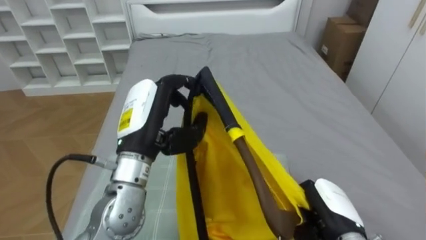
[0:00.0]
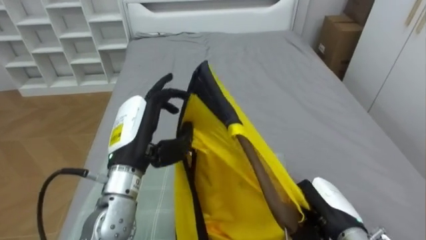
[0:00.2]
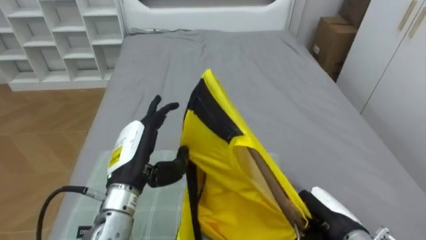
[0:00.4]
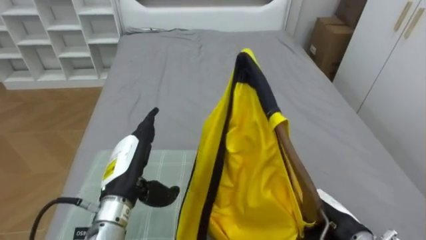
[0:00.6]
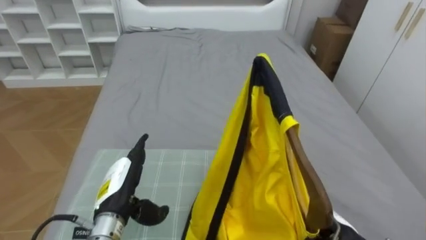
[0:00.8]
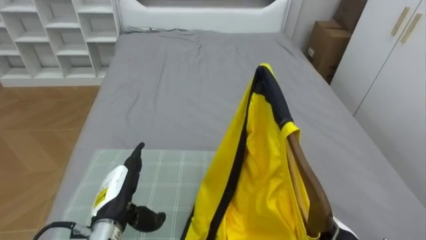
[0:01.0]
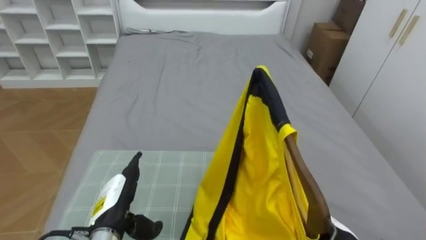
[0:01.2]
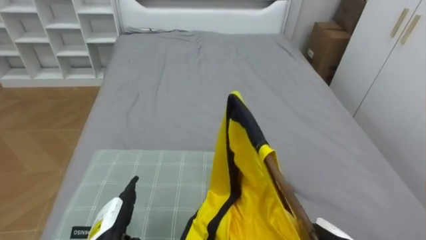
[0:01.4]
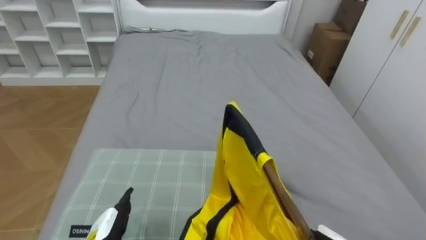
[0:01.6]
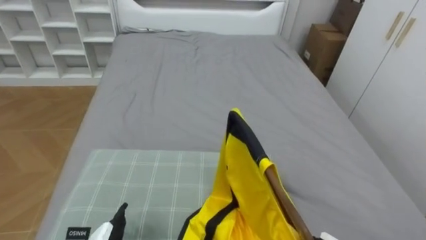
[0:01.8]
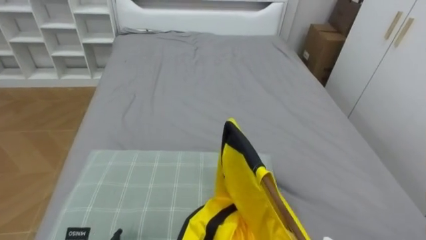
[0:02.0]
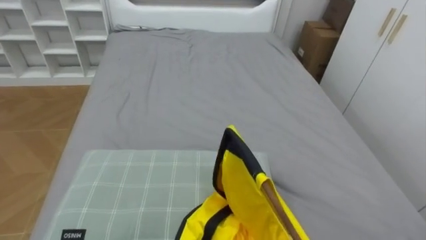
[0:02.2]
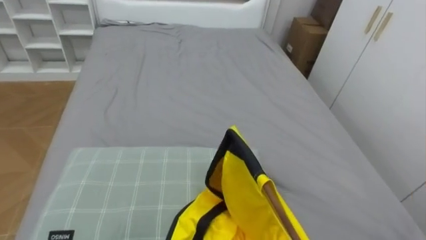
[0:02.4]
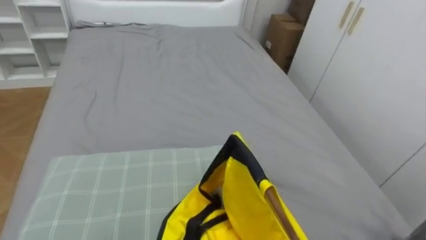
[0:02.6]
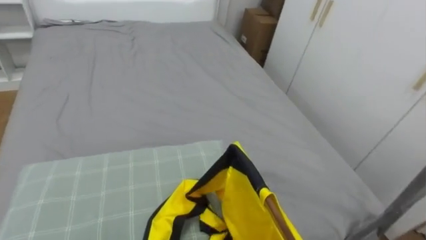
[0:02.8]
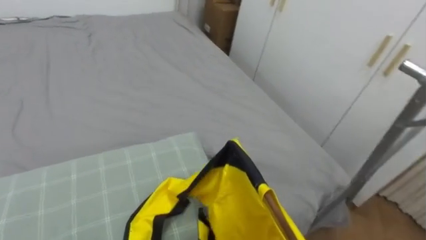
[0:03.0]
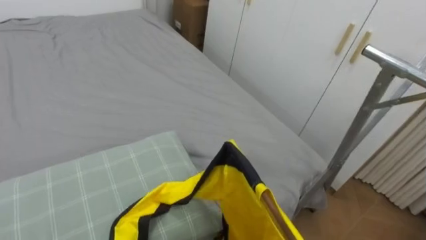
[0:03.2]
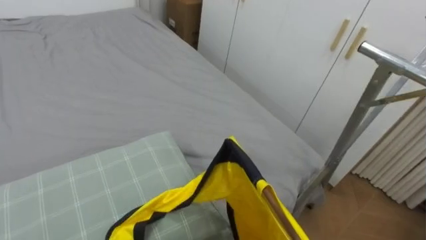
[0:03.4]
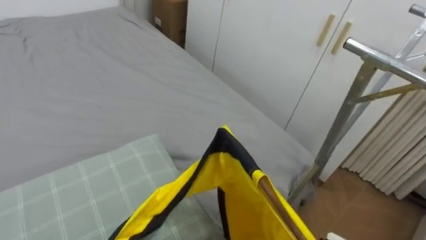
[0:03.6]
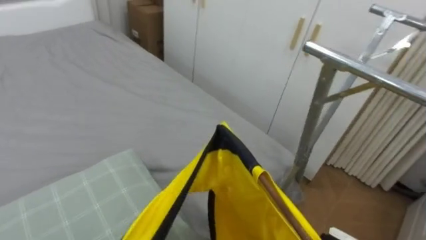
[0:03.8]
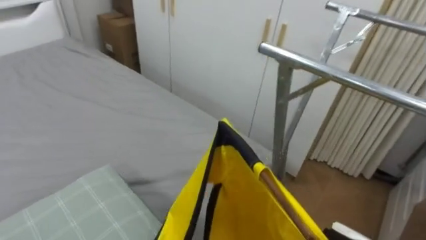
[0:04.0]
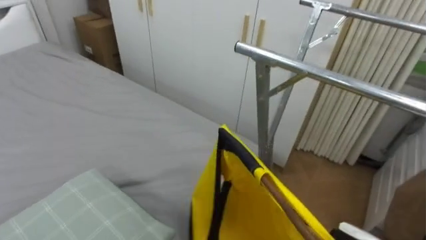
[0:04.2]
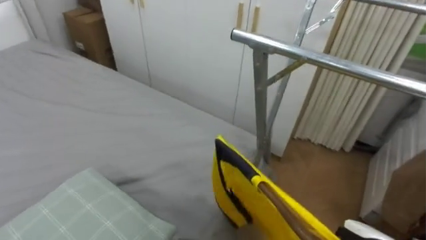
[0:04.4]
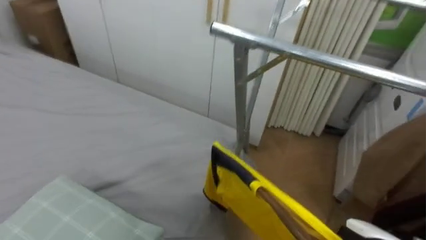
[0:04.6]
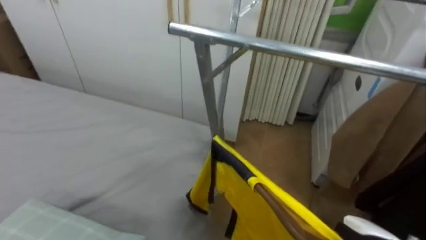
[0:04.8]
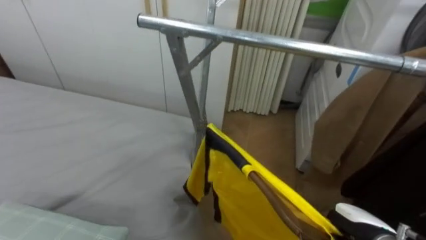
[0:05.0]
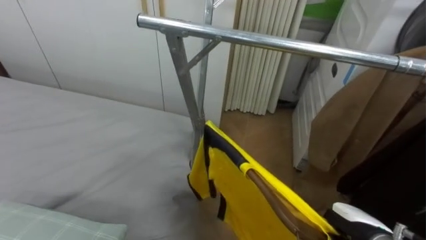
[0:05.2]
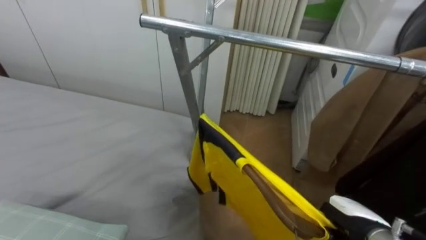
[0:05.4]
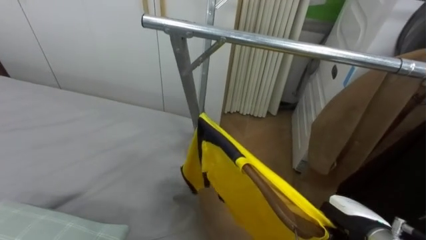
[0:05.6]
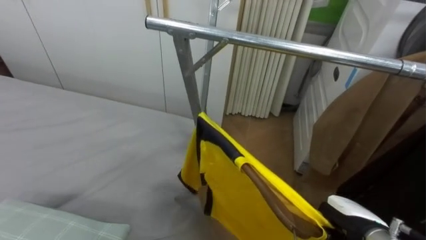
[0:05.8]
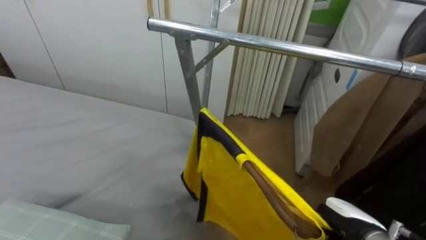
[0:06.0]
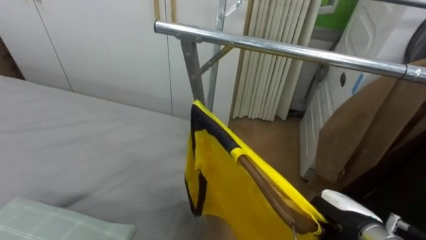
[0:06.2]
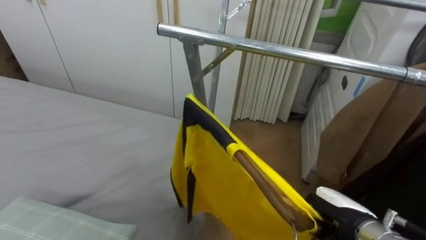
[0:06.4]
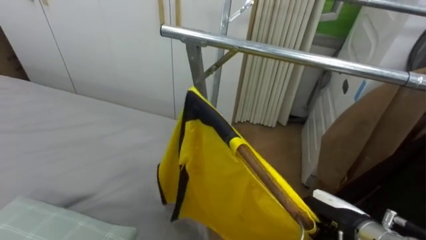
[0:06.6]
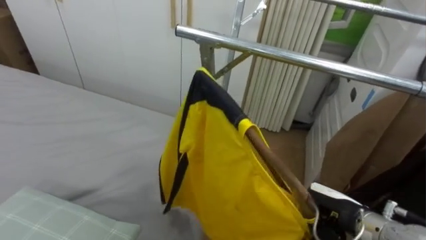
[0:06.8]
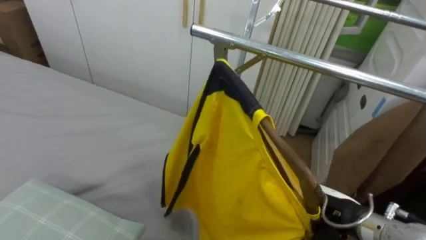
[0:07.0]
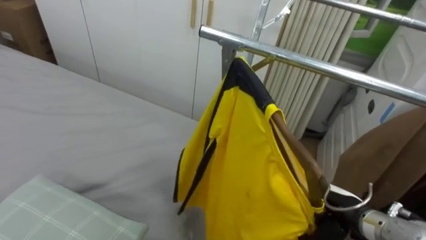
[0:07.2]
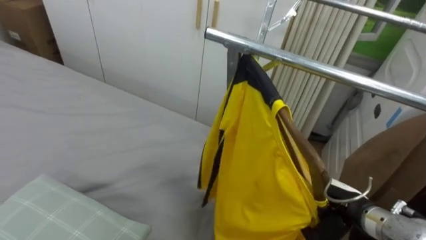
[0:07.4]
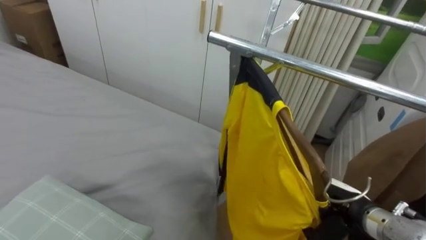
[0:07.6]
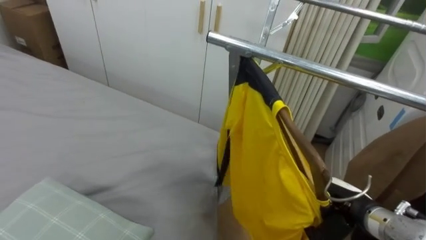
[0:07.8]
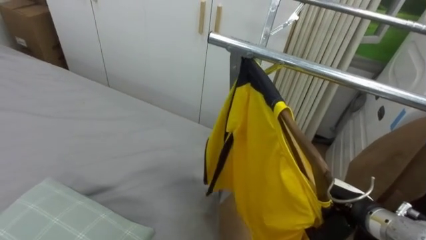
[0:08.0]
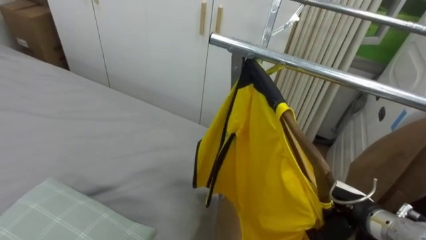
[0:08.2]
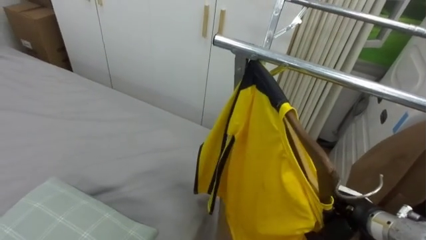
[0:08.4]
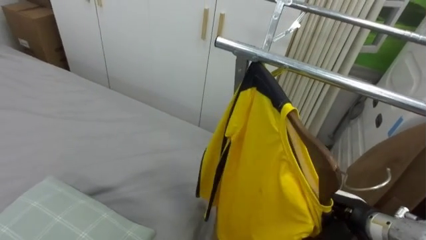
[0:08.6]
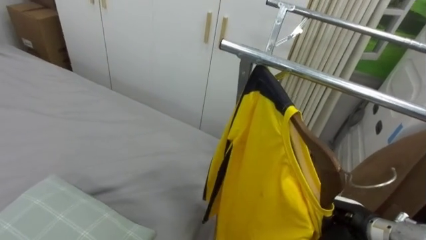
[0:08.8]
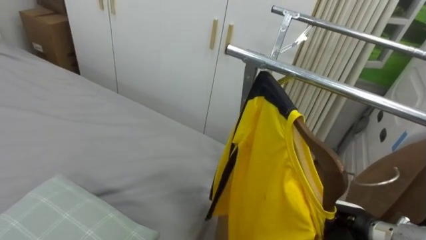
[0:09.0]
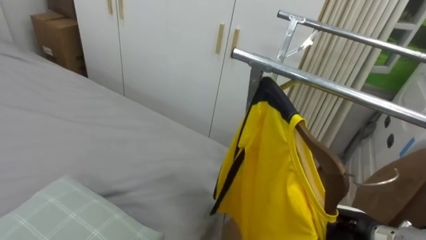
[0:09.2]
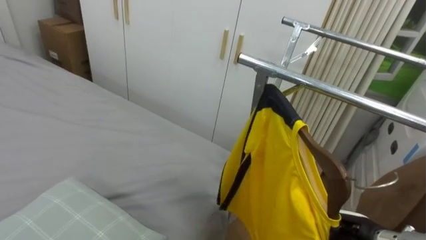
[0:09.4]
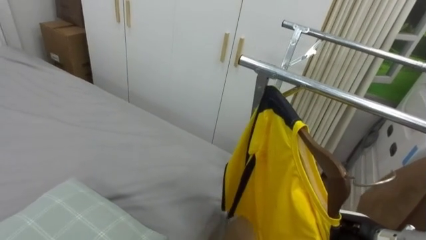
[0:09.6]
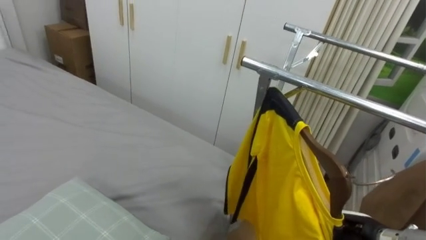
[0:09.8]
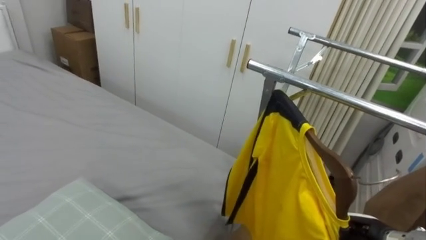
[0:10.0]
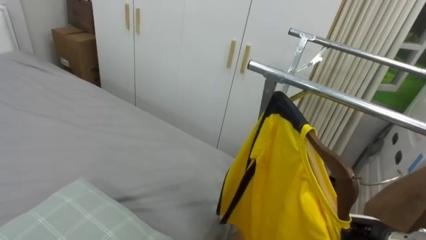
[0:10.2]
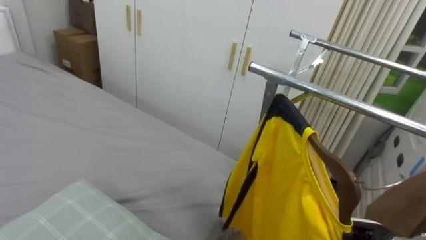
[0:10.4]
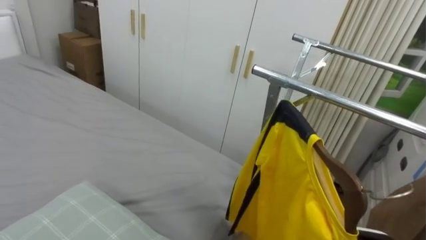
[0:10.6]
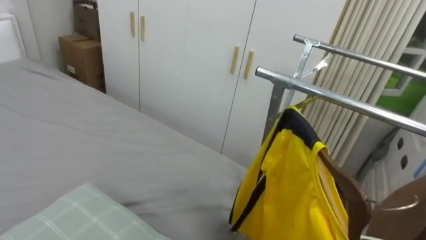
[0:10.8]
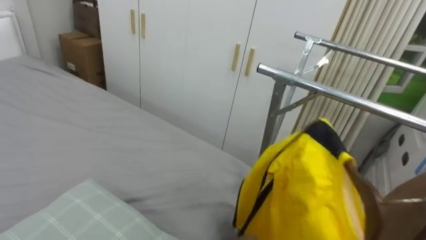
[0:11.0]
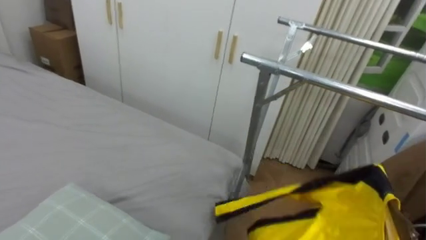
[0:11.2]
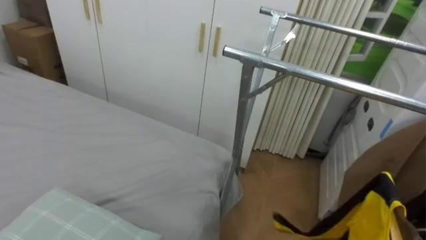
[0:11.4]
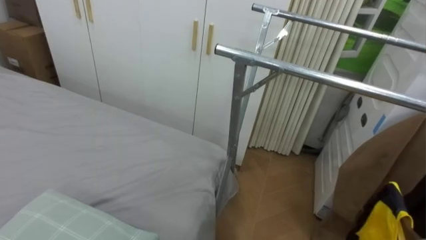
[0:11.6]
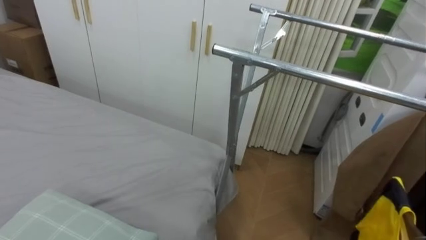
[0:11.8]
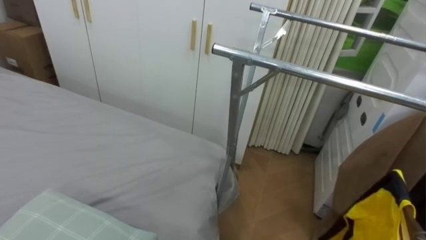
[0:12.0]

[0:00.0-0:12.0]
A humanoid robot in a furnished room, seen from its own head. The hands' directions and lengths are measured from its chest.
Task of the whole recording: Pick up the yellow shirt on the bed and hang it on the clothes rack on the right.
0:01.6 to 0:03.0: The robot faces approximately 20 degrees further to its right.
0:03.0 to 0:04.4: The robot turns to its right by some 35 degrees.
0:04.4 to 0:06.0: The robot turns to its right by approximately 15 degrees.

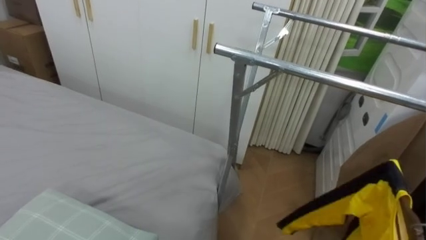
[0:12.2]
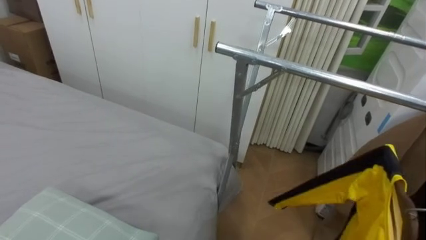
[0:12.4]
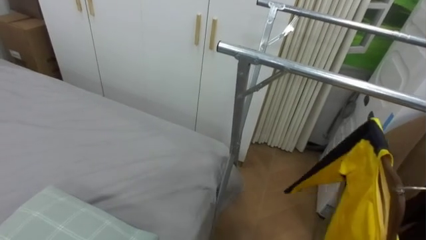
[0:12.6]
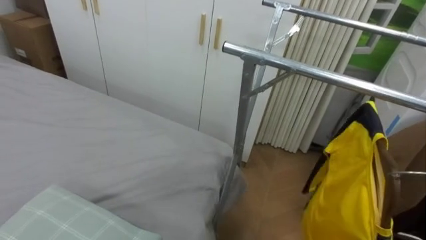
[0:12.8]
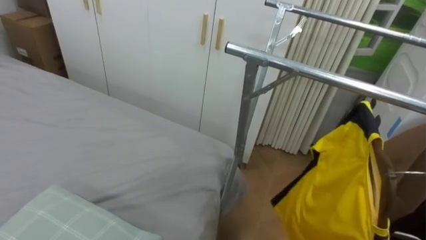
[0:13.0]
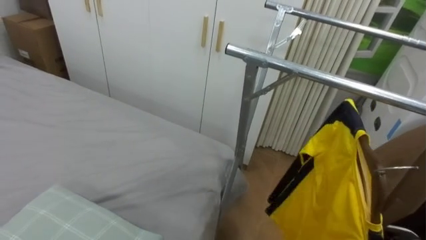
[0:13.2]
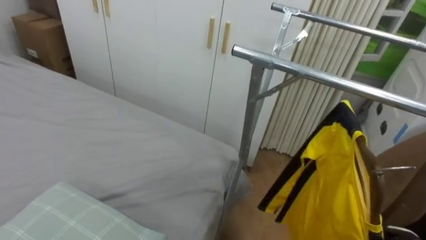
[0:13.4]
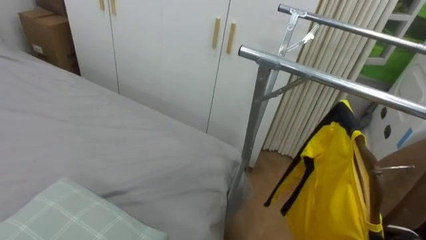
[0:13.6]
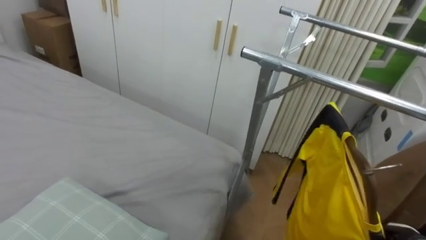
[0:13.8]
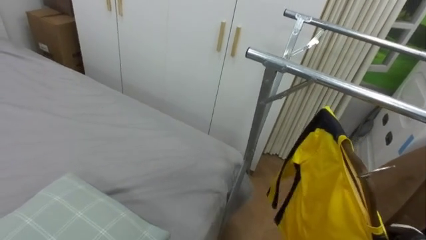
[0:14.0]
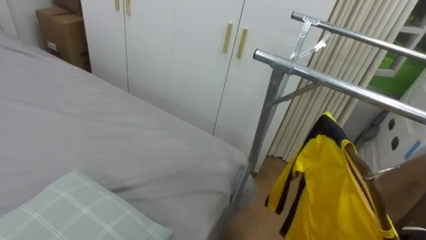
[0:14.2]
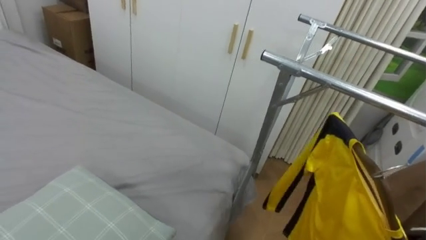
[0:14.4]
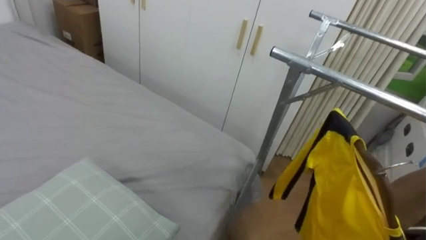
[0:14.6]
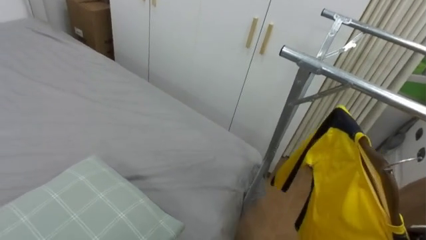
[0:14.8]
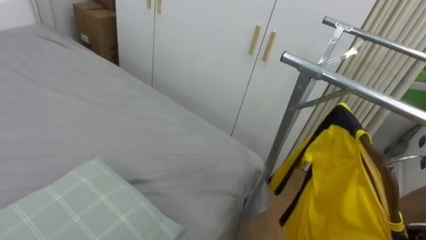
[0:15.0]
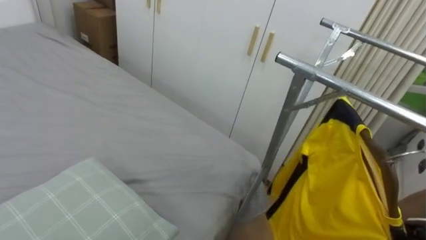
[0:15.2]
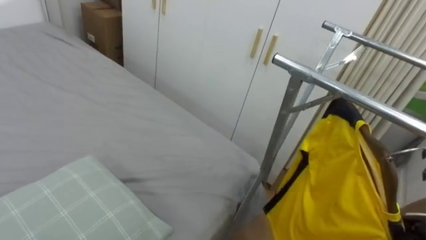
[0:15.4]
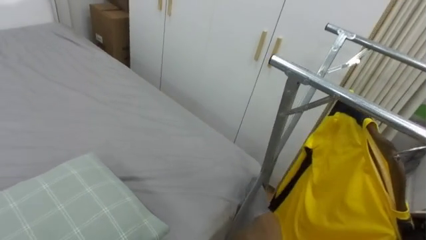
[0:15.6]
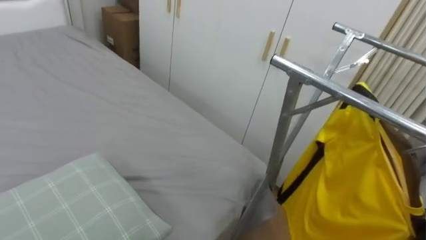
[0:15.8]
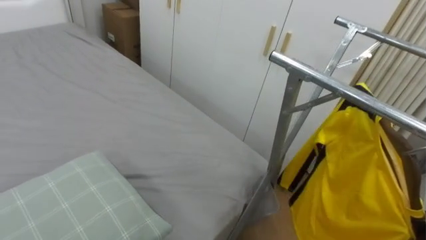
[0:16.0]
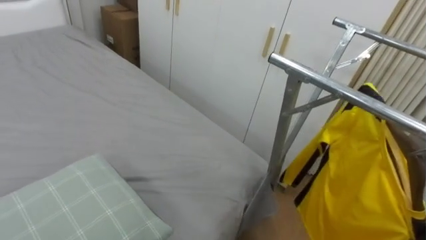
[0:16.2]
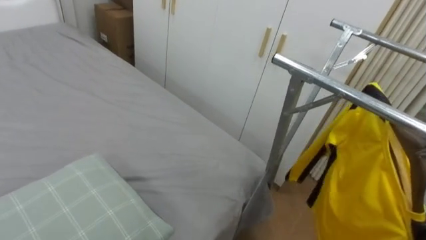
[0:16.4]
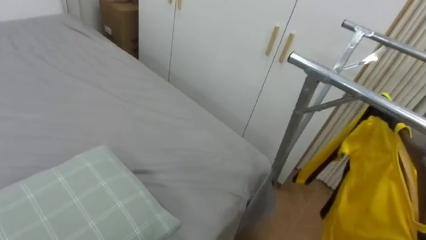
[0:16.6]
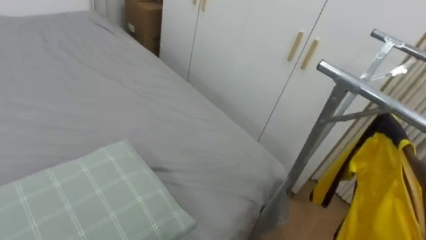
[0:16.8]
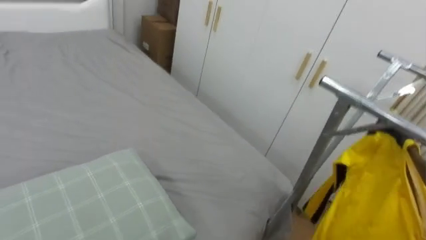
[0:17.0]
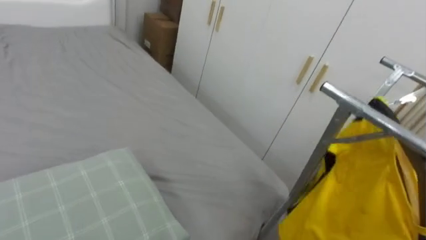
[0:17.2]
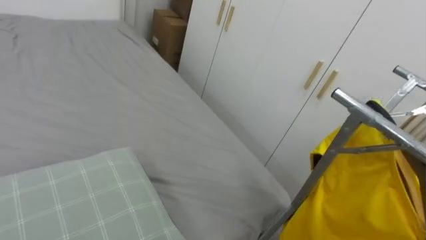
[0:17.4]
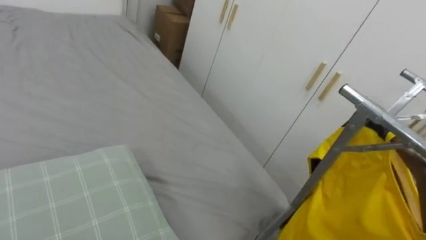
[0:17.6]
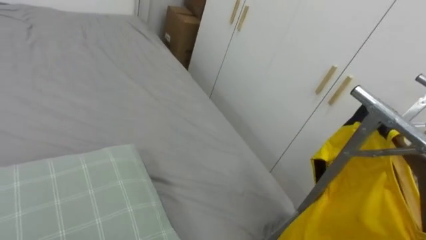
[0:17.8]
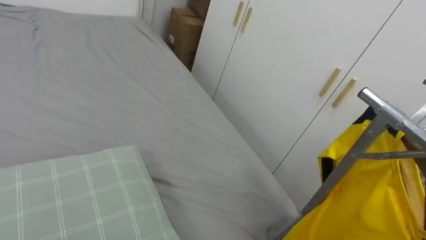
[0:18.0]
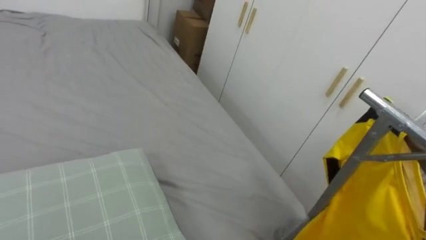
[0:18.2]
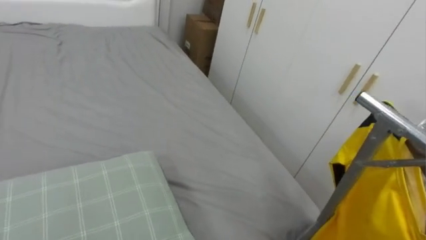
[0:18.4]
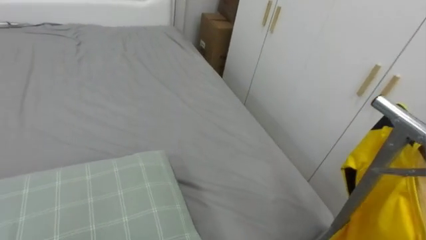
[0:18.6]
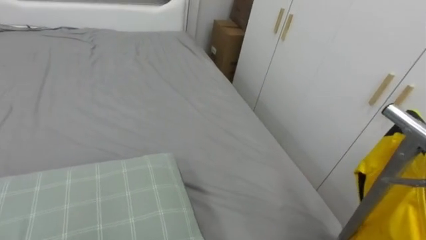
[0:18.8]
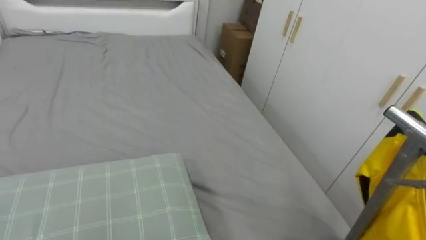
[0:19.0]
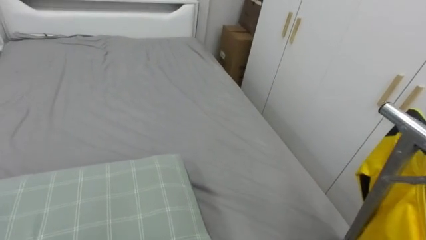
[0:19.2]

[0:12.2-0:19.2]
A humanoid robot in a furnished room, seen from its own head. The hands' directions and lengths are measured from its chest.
Task of the whole recording: Pick up the yellow shirt on the bed and hang it on the clothes rack on the right.
0:16.4 to 0:17.8: The robot turns to its left by roughly 25 degrees.
